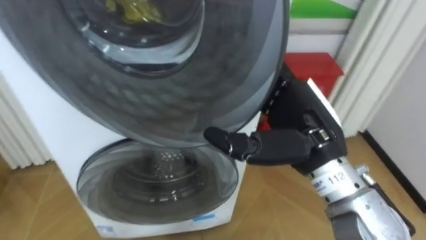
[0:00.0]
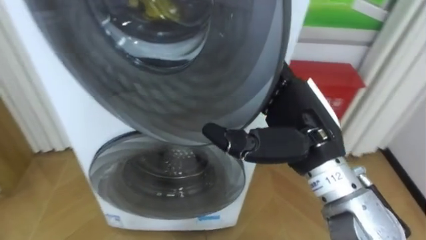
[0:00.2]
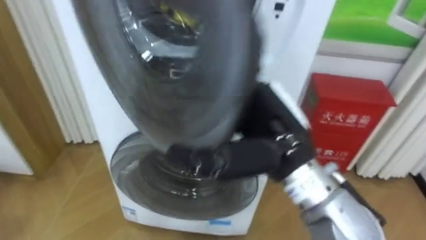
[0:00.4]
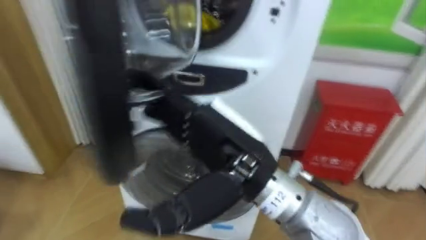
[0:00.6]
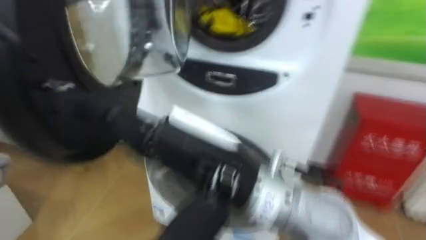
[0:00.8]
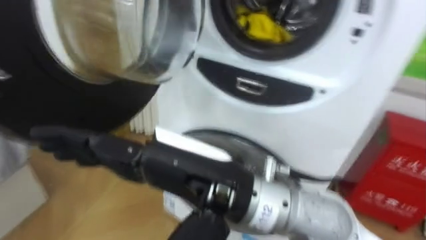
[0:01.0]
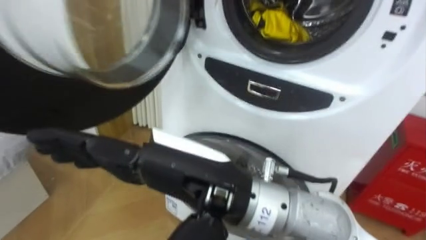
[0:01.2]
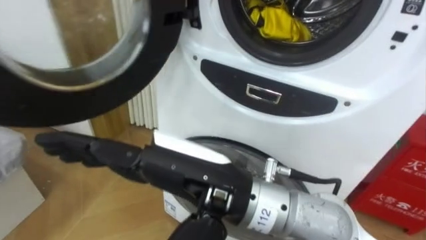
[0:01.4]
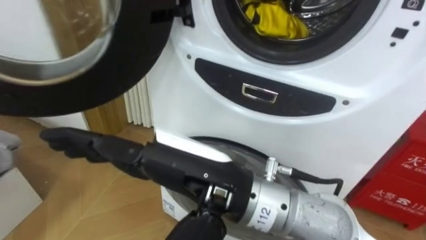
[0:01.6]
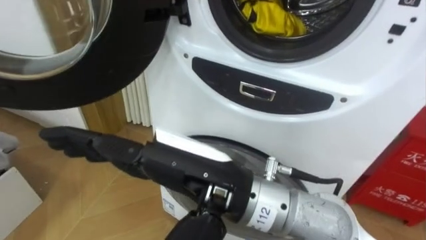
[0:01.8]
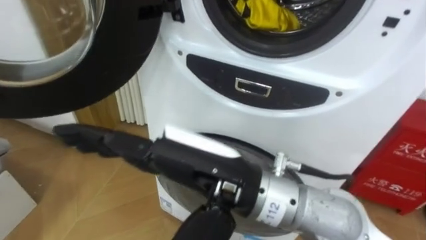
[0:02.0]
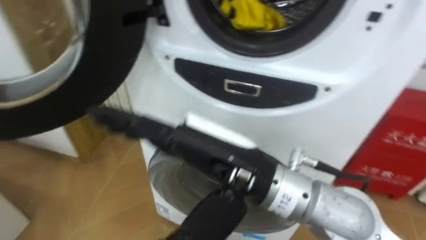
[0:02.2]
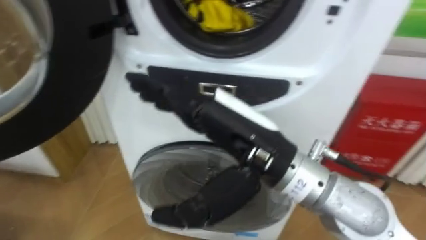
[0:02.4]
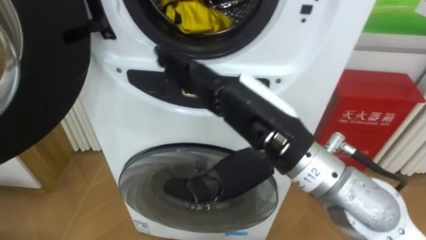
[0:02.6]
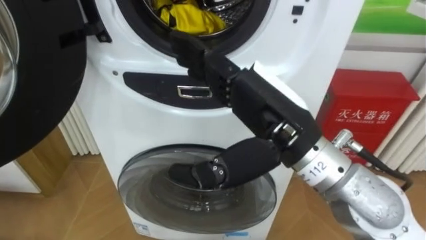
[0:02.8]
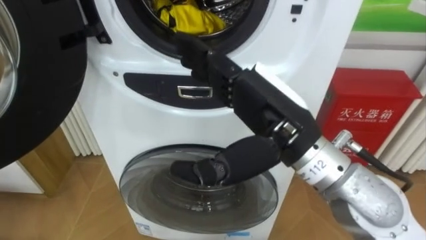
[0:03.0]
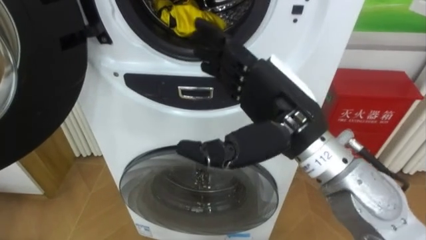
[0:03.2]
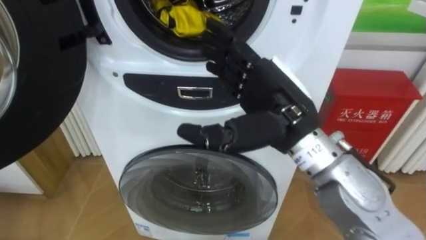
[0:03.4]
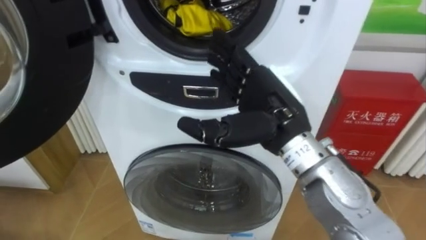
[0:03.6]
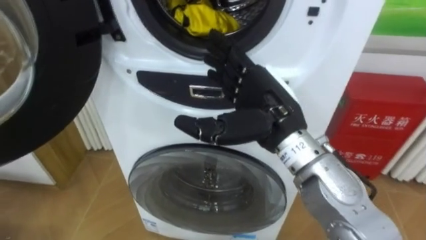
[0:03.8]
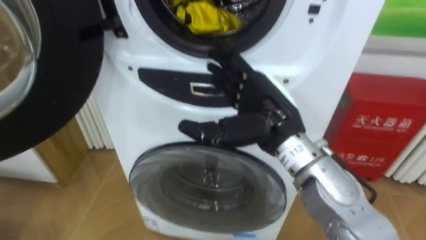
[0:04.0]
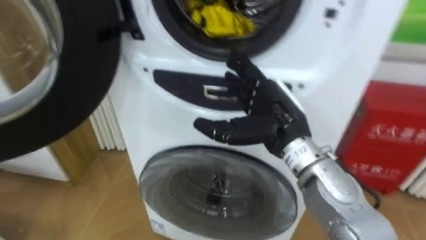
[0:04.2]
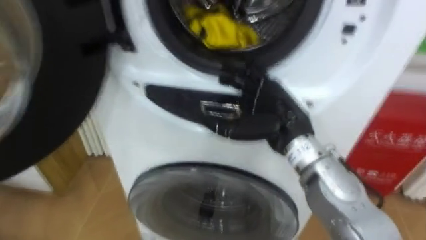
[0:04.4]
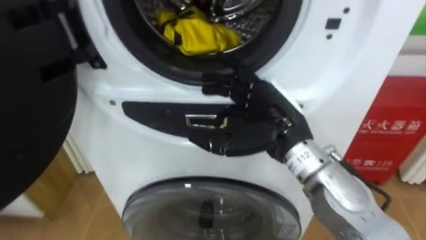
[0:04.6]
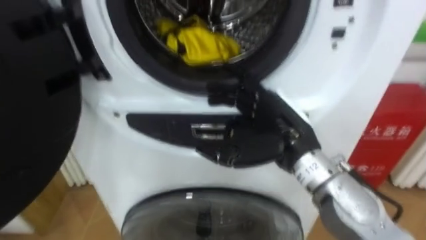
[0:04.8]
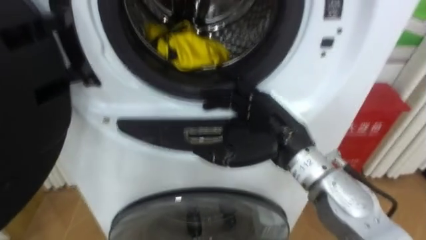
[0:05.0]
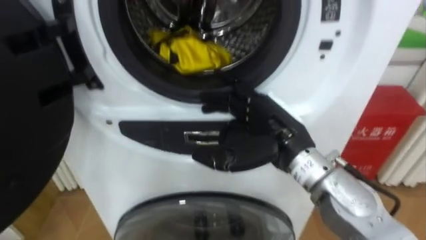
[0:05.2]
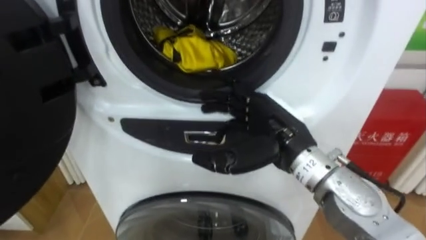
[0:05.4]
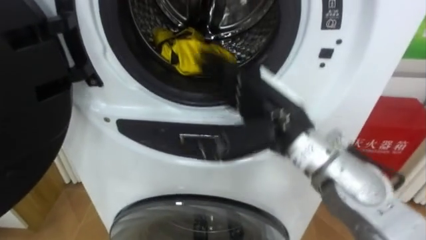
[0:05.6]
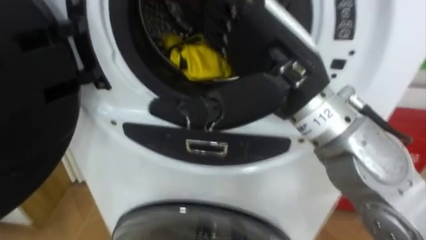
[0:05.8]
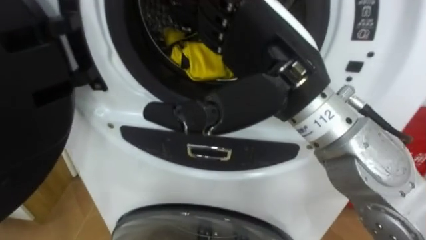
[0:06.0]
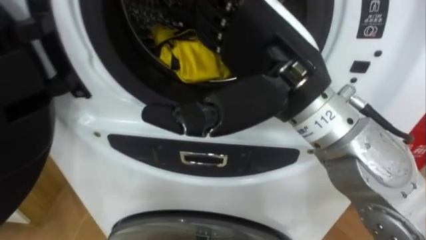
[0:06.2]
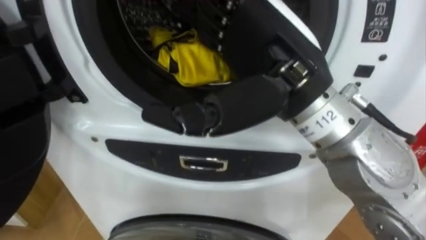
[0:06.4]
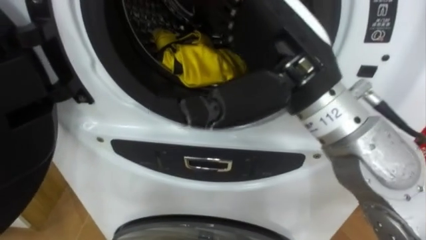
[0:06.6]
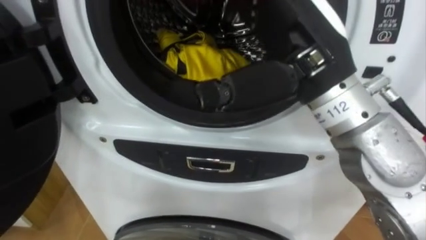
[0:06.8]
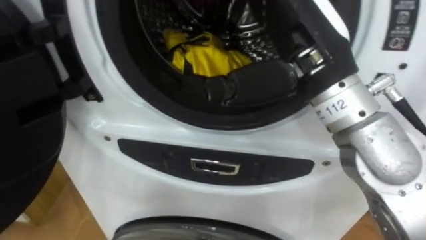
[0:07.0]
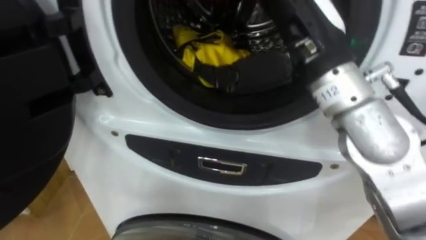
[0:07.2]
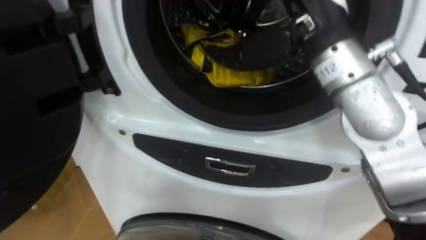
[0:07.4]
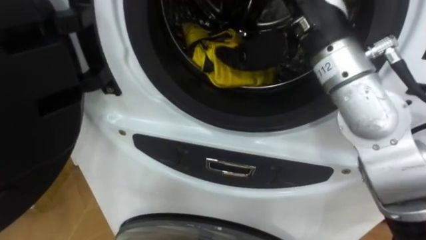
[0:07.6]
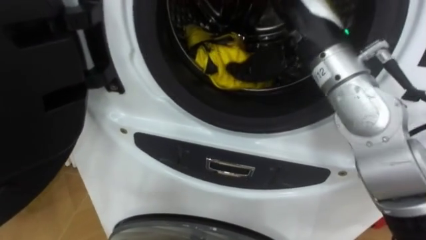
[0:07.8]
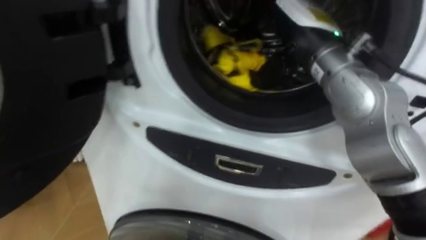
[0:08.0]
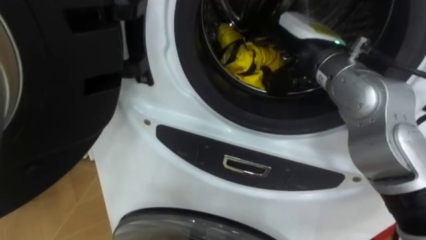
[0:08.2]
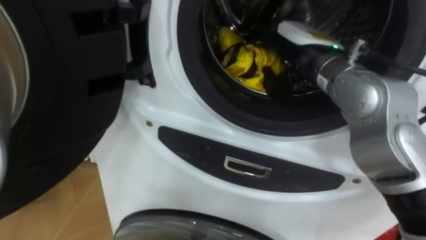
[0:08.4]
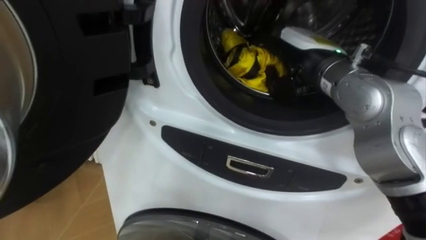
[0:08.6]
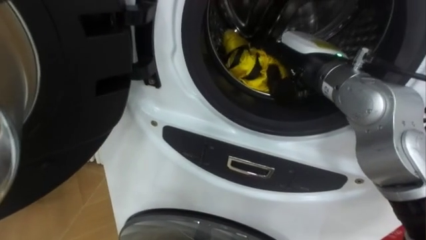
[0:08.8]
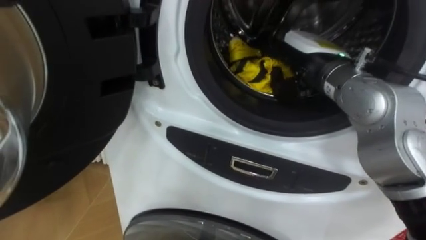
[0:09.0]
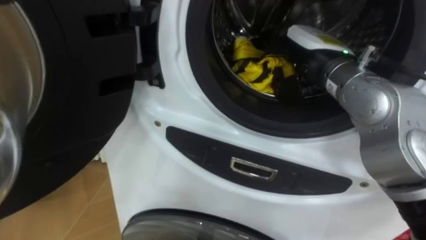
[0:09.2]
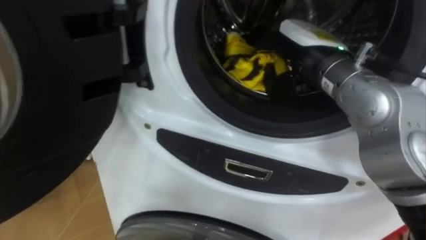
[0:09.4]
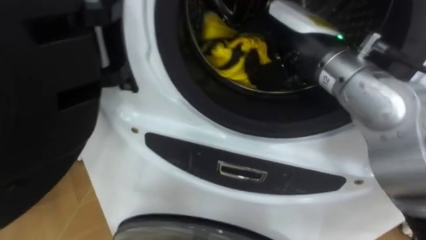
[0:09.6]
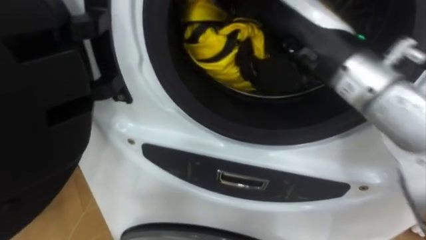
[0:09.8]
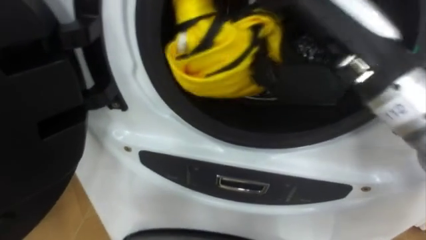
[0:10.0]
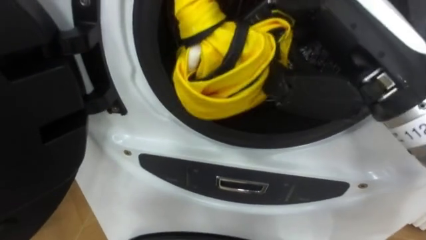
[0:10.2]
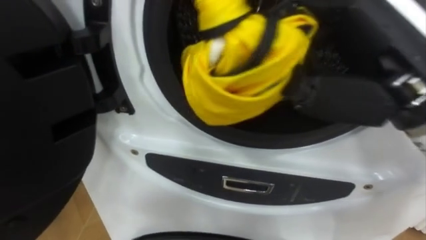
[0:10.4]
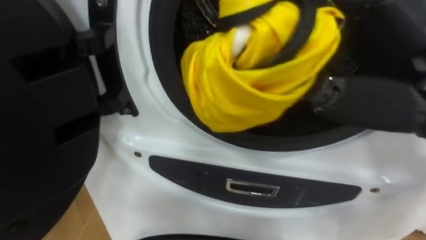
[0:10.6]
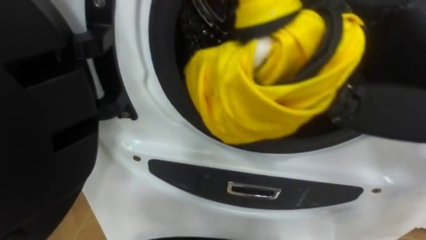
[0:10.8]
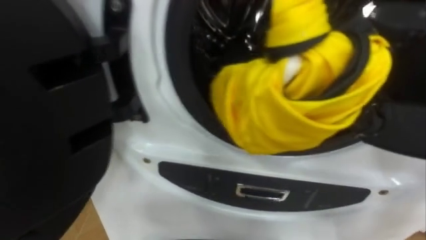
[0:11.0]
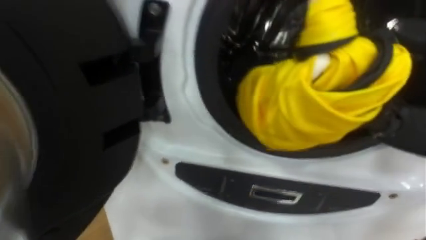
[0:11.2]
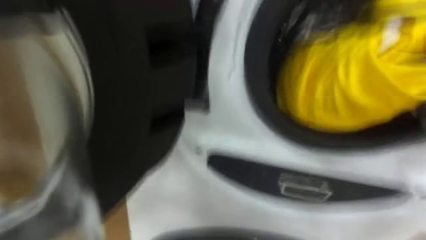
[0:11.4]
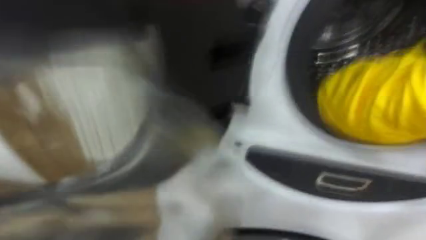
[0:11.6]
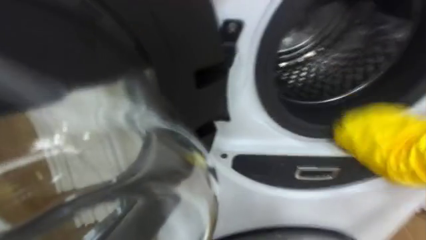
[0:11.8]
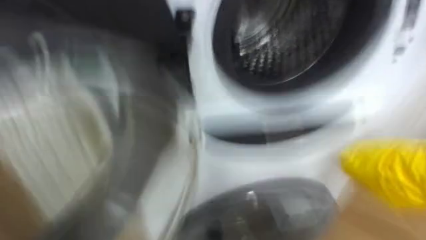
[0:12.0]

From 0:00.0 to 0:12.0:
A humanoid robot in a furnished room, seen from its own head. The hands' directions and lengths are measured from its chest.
Task of the whole recording: Open the washing machine door, take out the yellow clothes, place them in the box on the right, and close the washing machine door.
From 0:00.0 to 0:01.6: The right hand travels to the left and backward by some 15 cm.
From 0:01.6 to 0:03.0: The right hand heads to the right and forward, covering some 10 cm.
From 0:03.0 to 0:04.4: The right hand is displaced forward and downward by about 10 cm.
From 0:04.4 to 0:06.0: The right hand is displaced upward and backward by about 15 cm.
From 0:06.0 to 0:07.6: The right hand is displaced forward by roughly 5 cm.
From 0:07.6 to 0:09.0: The right hand is displaced downward and forward by some 10 cm, and closes up.
From 0:09.0 to 0:10.4: The right hand moves backward and upward, some 15 cm.
From 0:10.4 to 0:12.0: The robot's body swings about 15 degrees to its right.

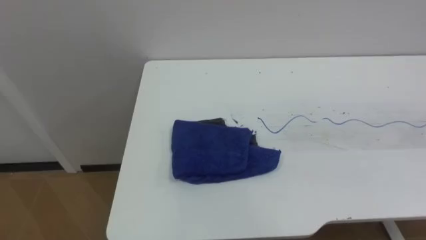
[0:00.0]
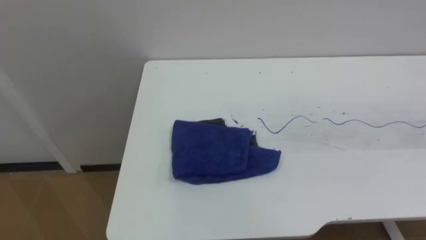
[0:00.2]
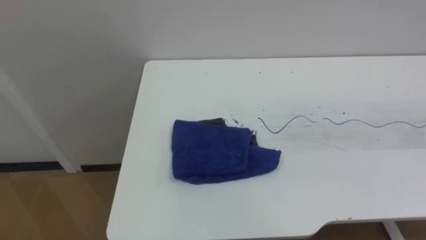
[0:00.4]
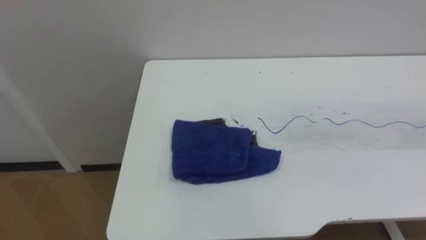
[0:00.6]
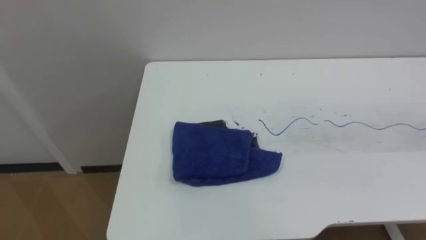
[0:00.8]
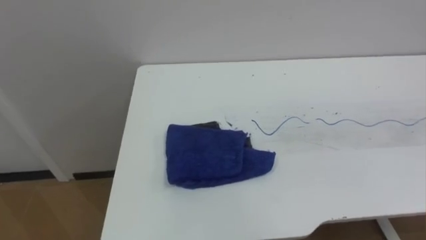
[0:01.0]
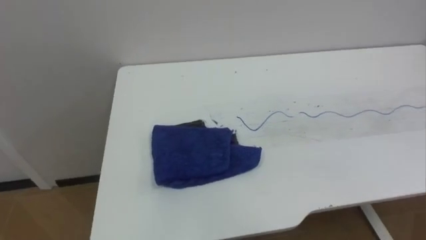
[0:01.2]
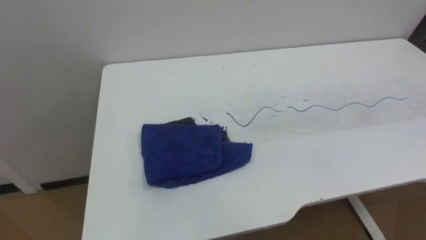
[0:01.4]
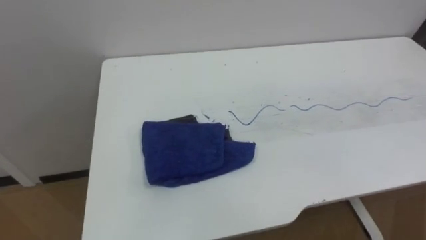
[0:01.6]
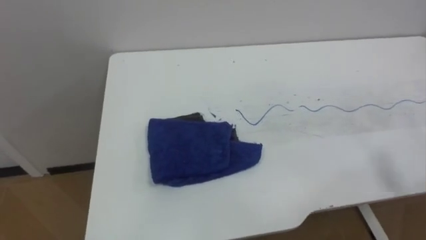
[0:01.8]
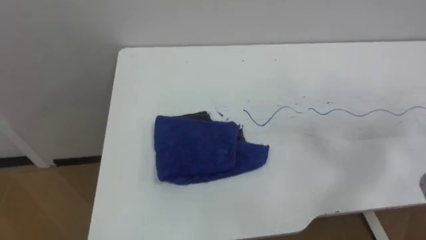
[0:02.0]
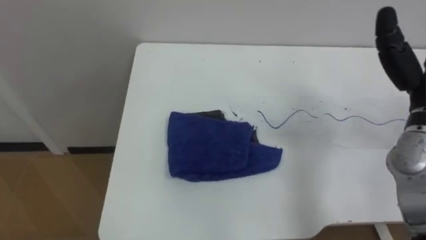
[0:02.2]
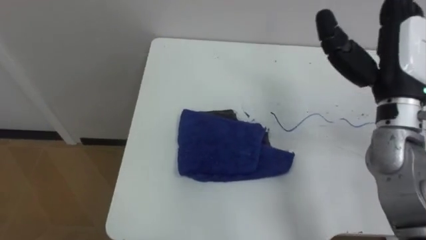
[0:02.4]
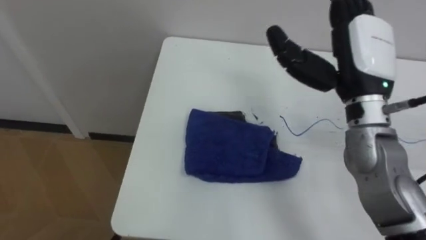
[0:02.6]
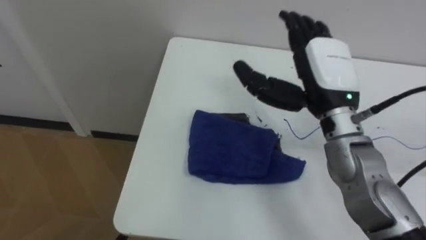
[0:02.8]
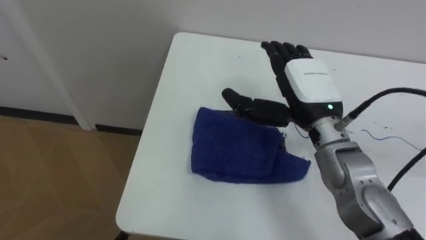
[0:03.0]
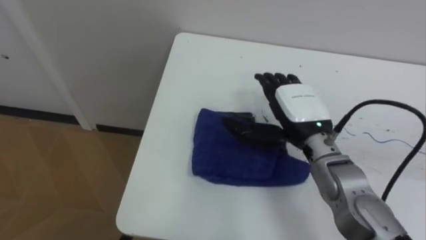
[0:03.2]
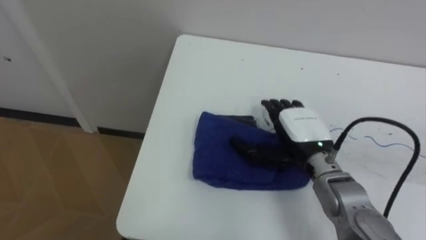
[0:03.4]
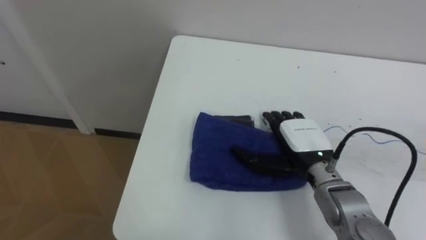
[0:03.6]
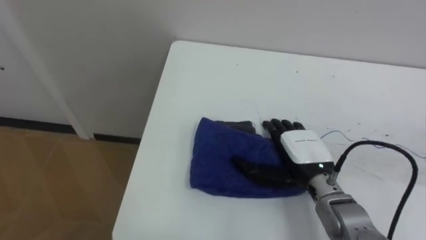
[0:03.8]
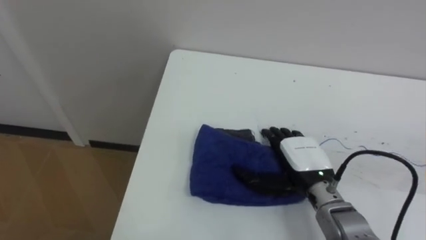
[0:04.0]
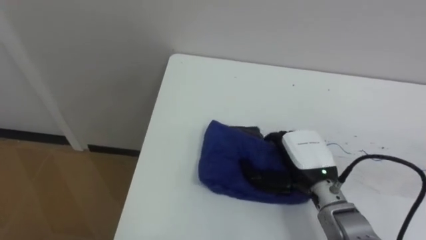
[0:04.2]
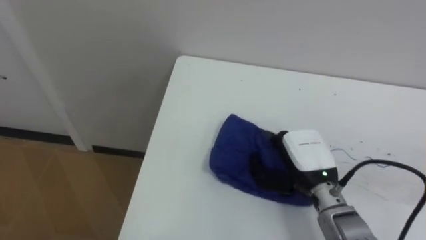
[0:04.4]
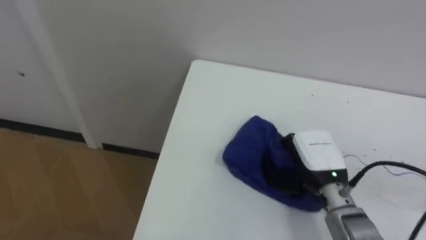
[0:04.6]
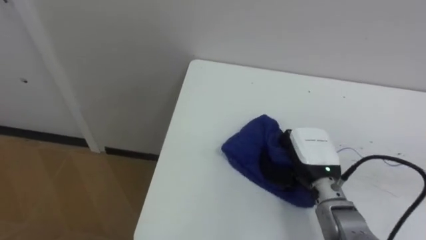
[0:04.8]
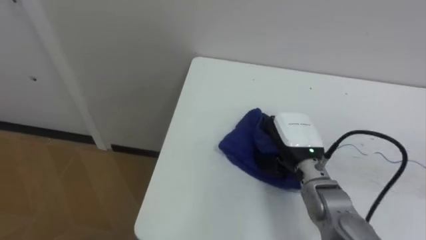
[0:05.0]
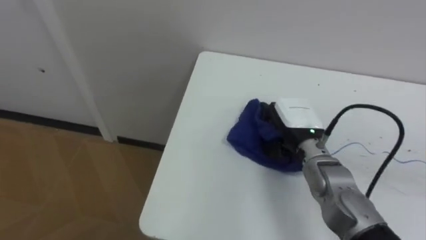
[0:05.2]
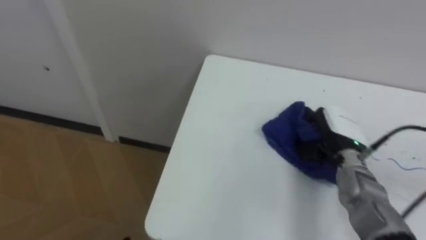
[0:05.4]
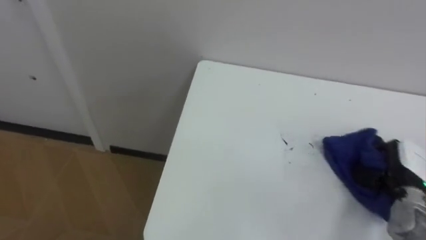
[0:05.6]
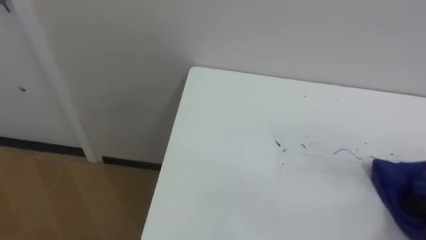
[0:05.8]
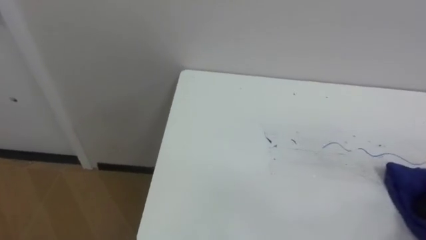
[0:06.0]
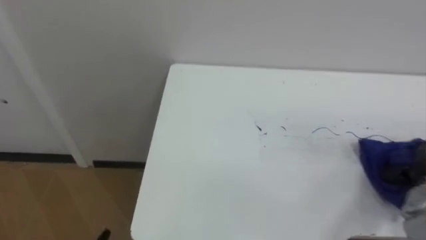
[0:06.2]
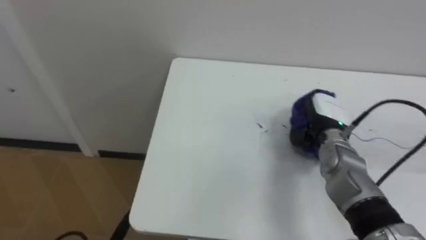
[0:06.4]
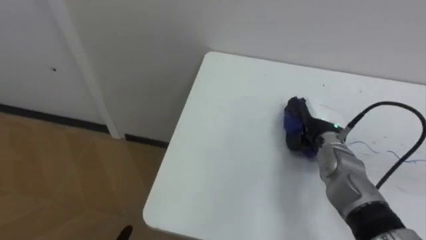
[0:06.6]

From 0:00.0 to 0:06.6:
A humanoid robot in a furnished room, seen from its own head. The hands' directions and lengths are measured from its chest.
Task of the whole recording: Wipe the blue pen marks off the table with the rag.
From 0:03.2 to 0:05.0: The right hand travels downward by some 5 cm, and closes its fingers.
